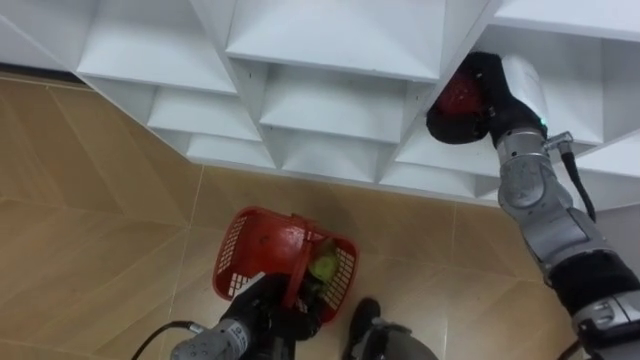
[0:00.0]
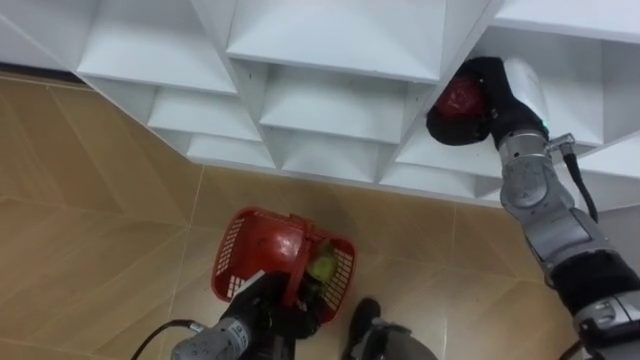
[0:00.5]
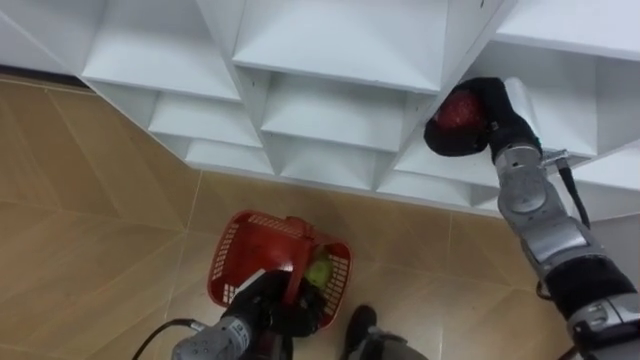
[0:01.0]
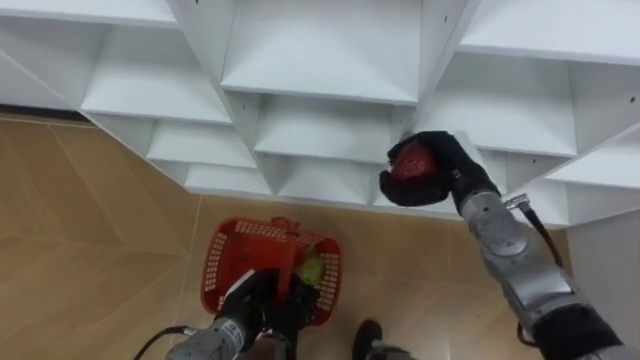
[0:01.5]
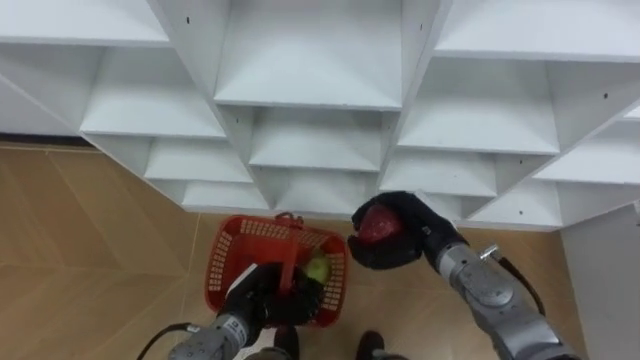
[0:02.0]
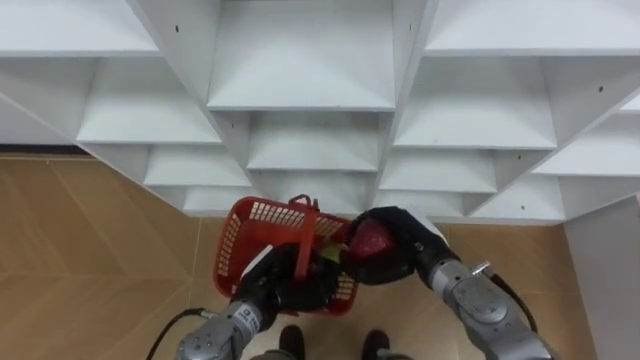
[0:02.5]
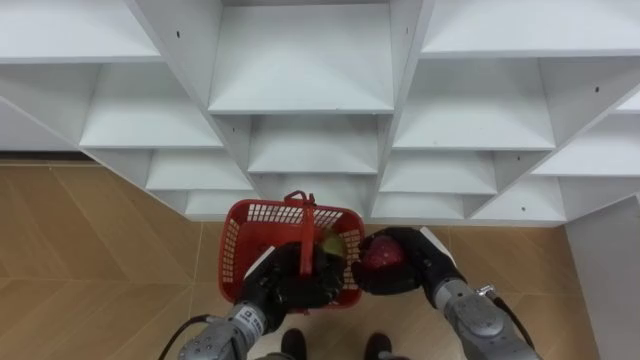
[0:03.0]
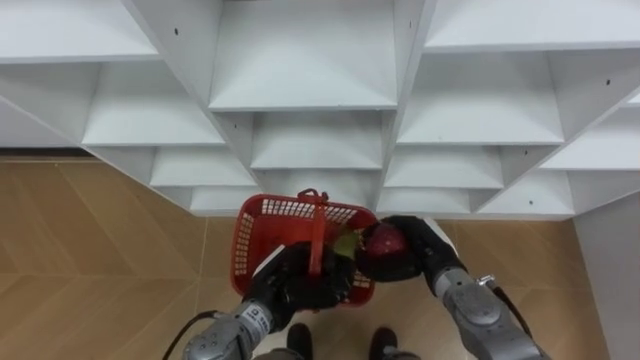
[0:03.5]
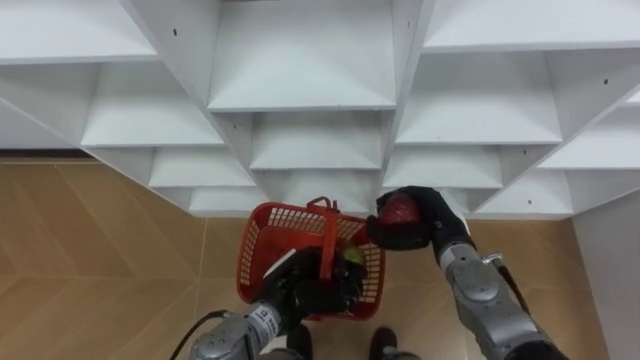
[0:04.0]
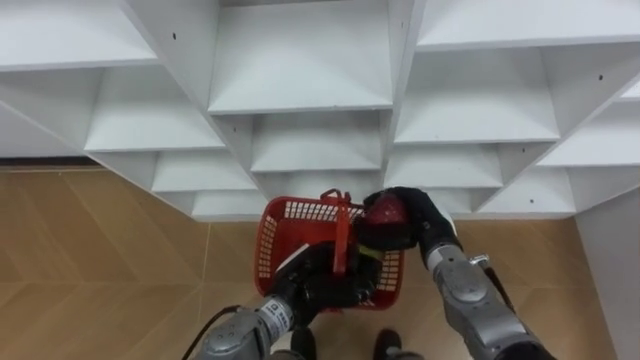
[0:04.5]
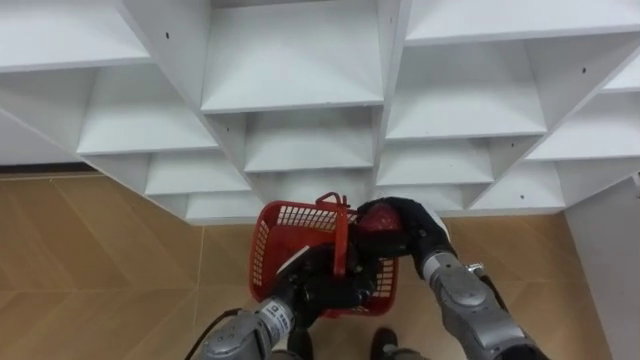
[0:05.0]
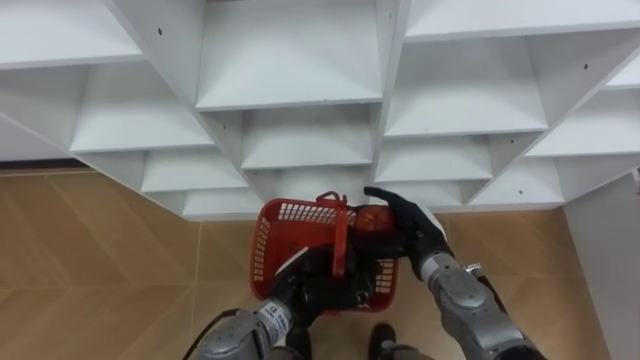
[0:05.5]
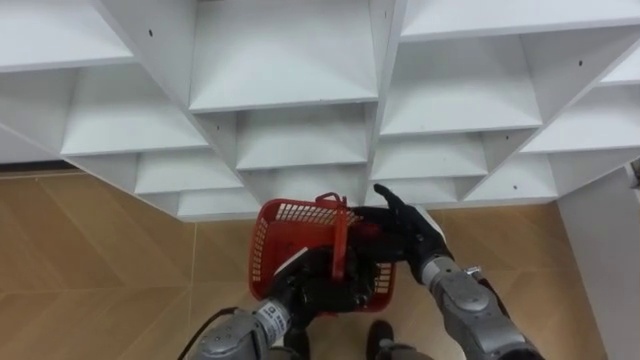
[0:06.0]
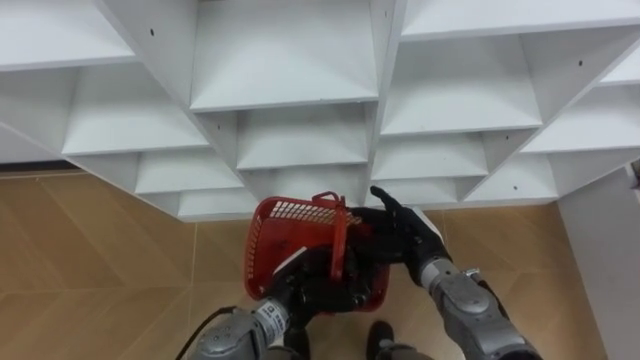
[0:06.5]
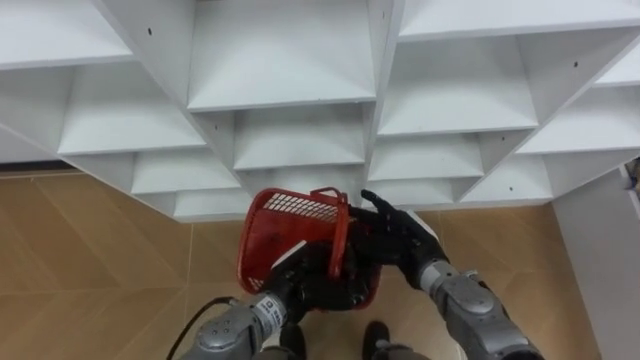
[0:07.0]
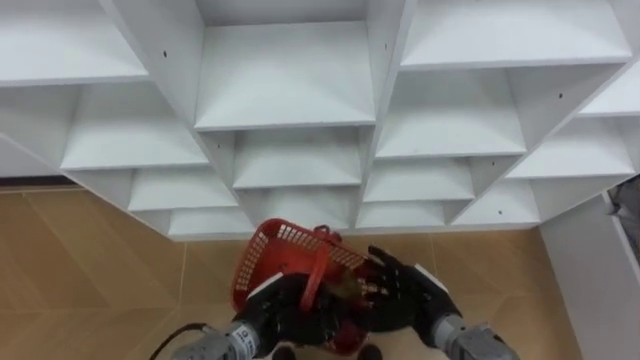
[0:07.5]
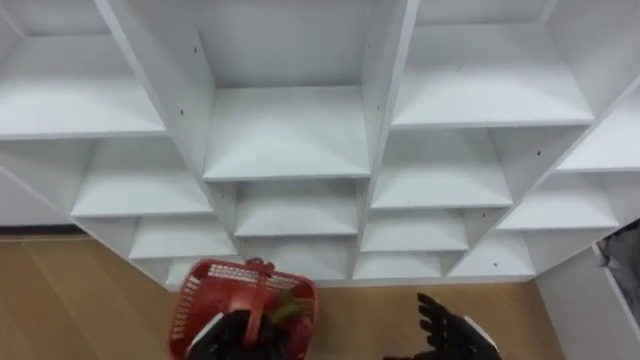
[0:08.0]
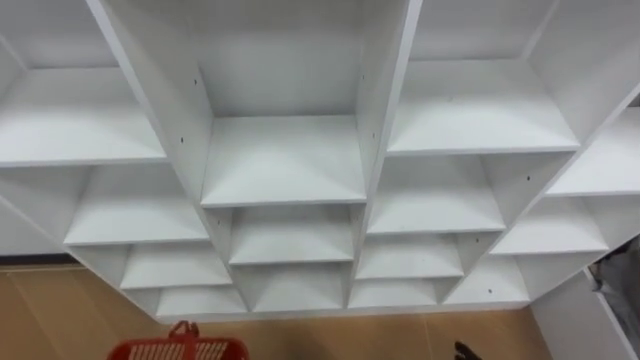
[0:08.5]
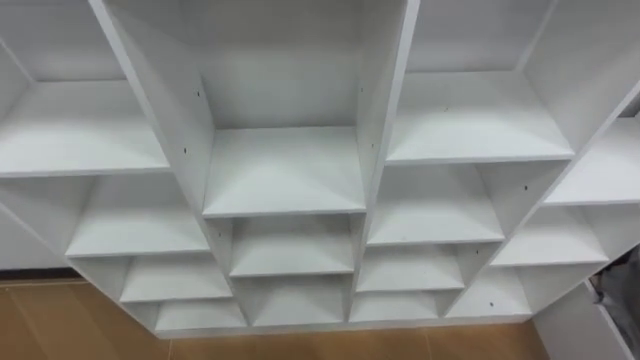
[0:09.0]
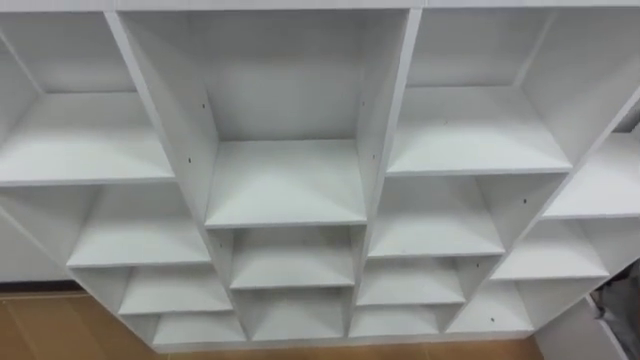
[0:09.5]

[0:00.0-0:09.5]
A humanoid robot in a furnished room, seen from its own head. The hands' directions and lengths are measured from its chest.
Task of the whole recording: Hold the basket and collect the fruits from 3 different cells of the closet into it.
0:00.0 to 0:02.0: The right hand shifts approximately 20 cm downward, backward and to the left.
0:02.0 to 0:04.0: The left hand moves to the right, roughly 5 cm.
0:04.0 to 0:05.5: The right hand opens up.
0:05.5 to 0:07.5: The left hand changes place by about 5 cm. Meanwhile the right hand moves backward and downward, about 10 cm.

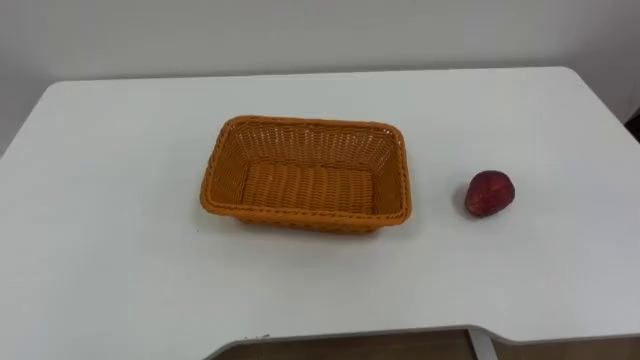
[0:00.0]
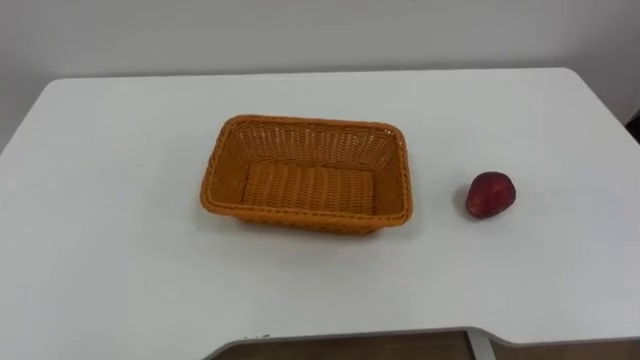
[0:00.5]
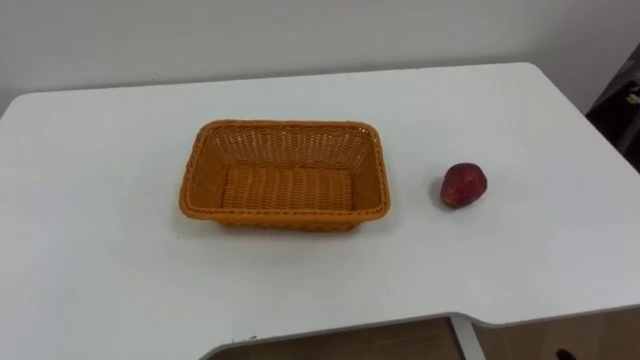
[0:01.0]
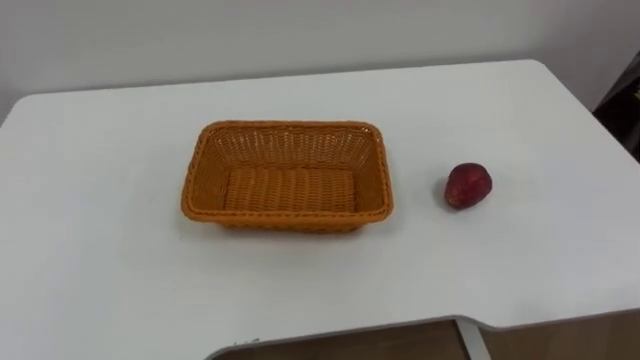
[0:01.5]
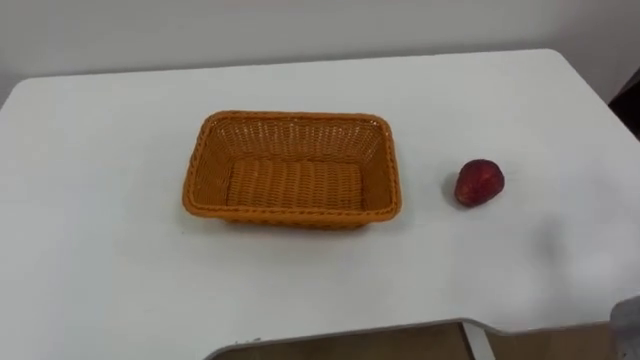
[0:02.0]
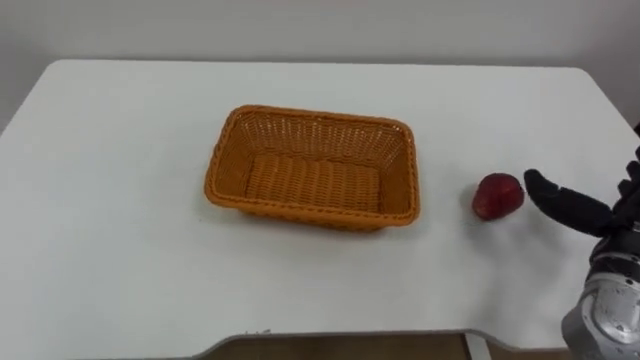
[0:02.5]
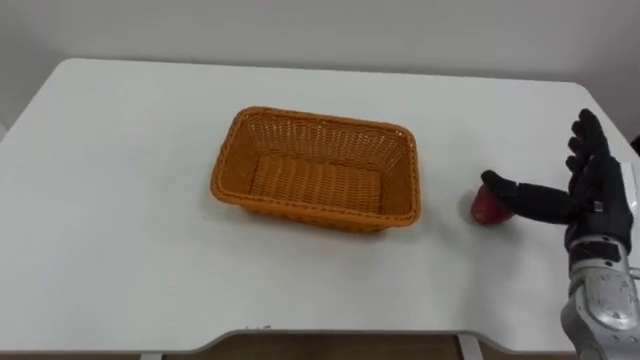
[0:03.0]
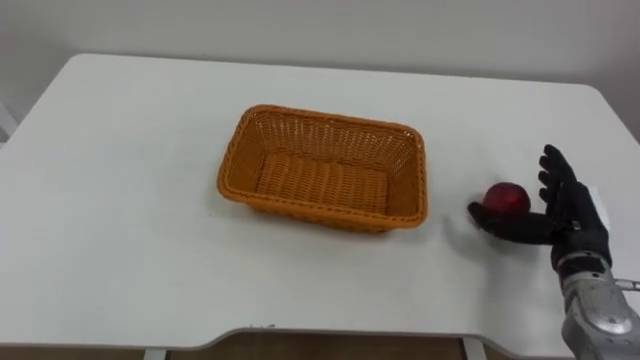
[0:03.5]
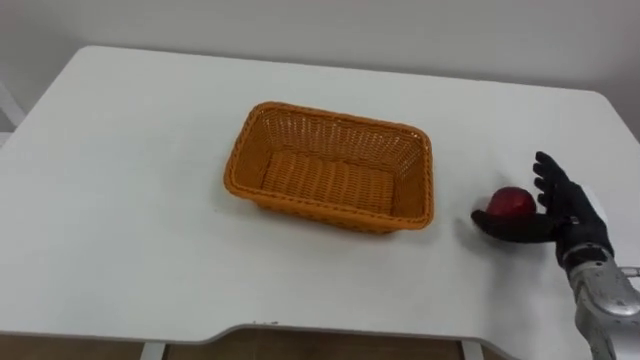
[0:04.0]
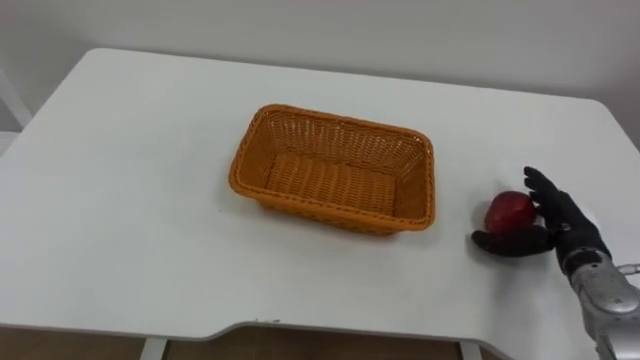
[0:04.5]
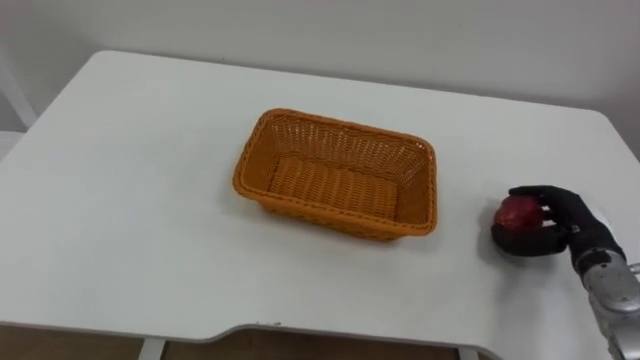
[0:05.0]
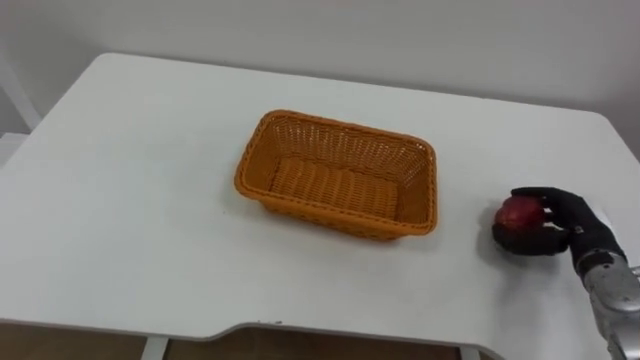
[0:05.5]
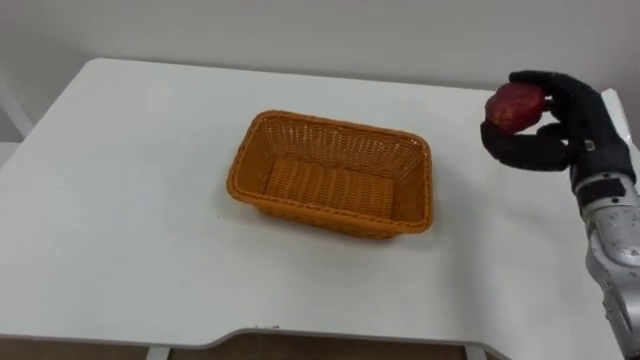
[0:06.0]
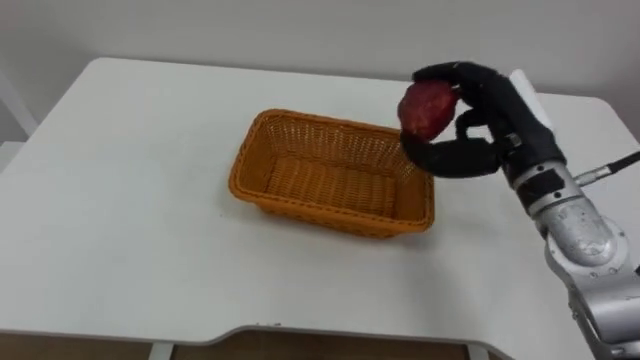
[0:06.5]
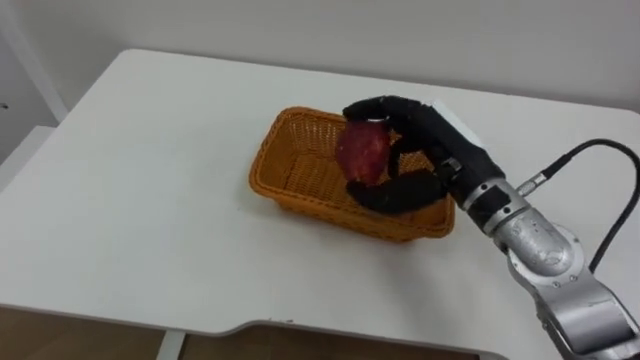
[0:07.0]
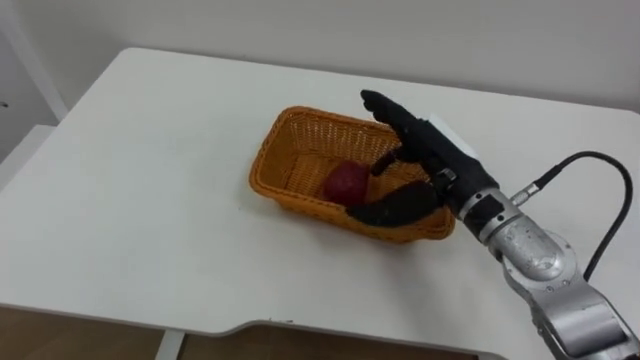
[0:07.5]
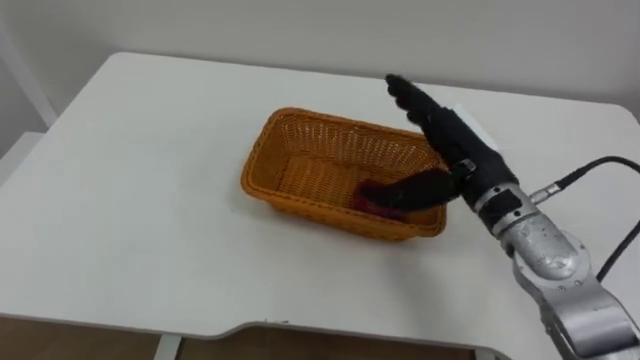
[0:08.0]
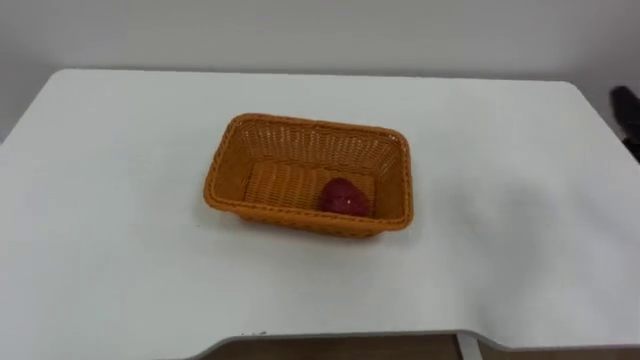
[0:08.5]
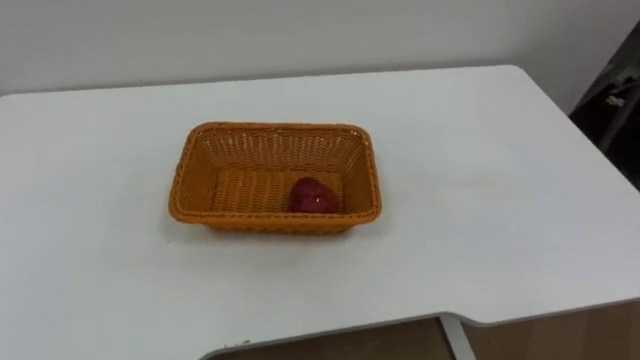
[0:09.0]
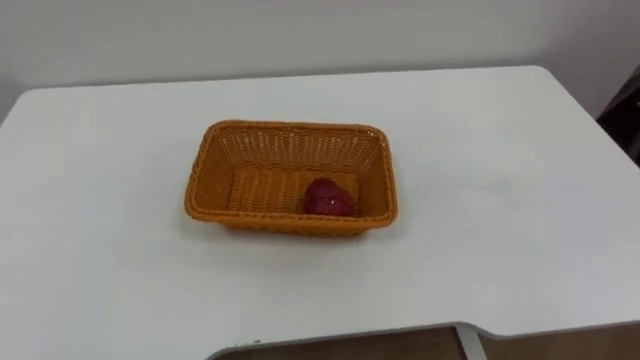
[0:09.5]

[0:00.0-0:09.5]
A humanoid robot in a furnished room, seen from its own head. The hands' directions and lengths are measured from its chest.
Task of the whole recording: Pick the apple and place it in the box.
0:04.0 to 0:05.5: The right hand closes.
0:05.5 to 0:07.5: The right hand goes some 25 cm to the left and upward, and opens its fingers.

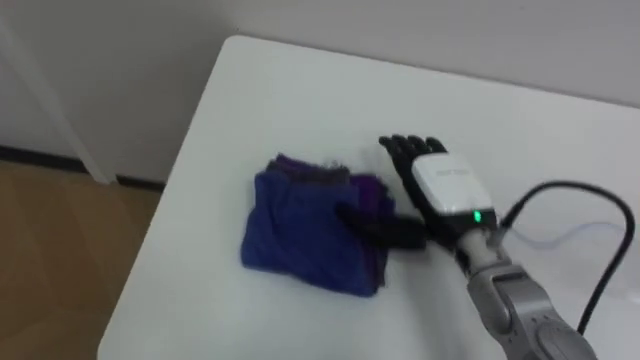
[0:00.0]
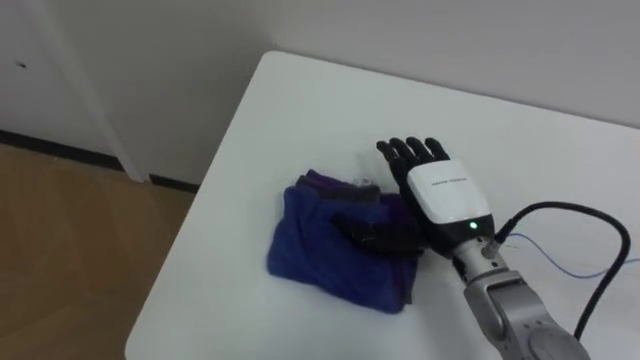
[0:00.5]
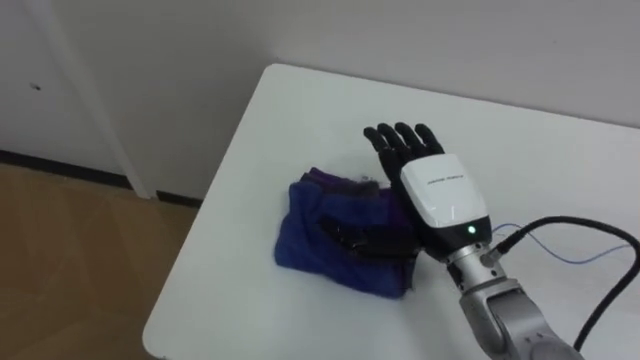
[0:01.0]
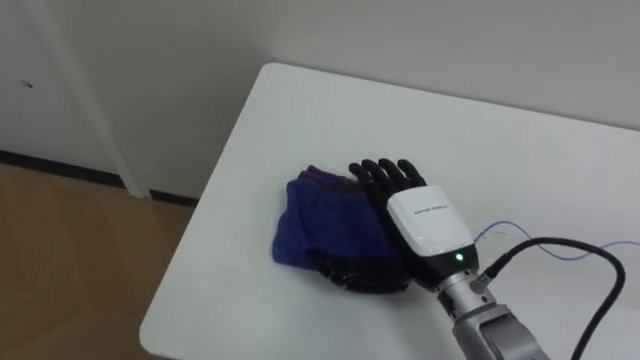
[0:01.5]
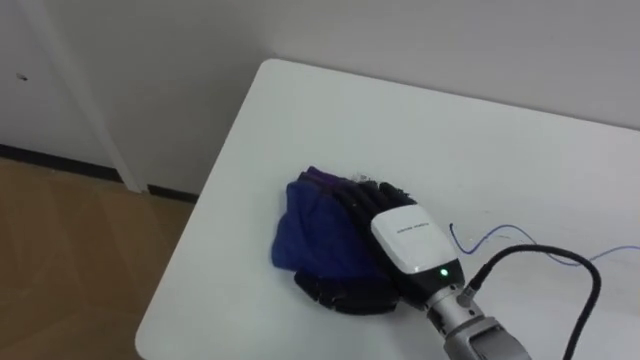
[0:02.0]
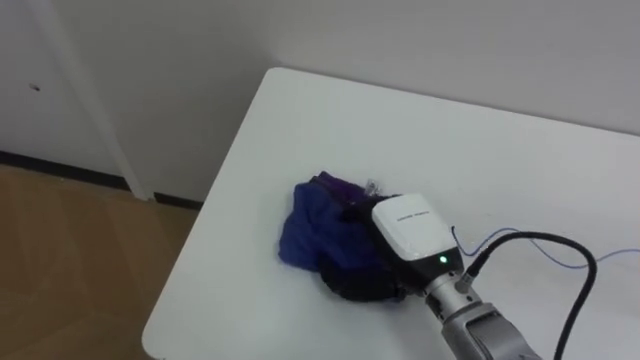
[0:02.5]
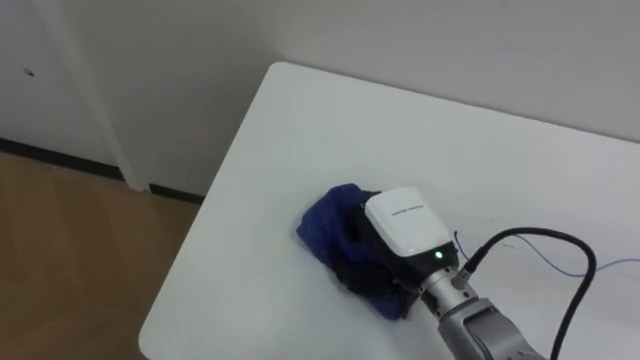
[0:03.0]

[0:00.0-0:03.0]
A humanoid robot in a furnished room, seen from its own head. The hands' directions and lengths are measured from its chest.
Task of the whole recording: Wipe the blue pen marks off the table with the rag.
0:00.0 to 0:01.5: The right hand changes place by roughly 5 cm.
0:01.5 to 0:03.0: The right hand closes its fingers.
